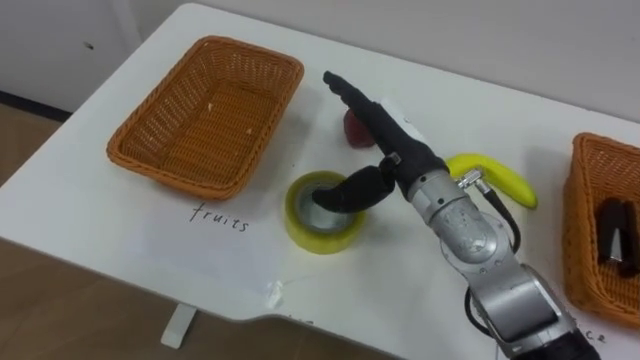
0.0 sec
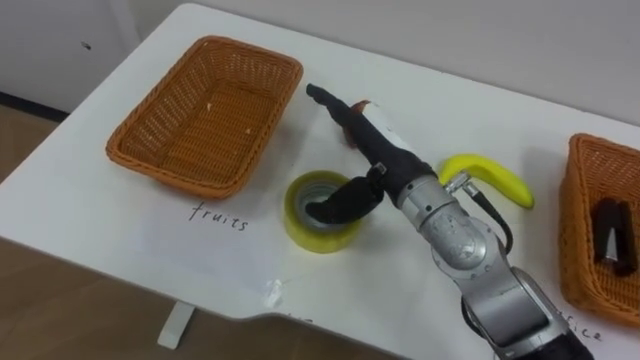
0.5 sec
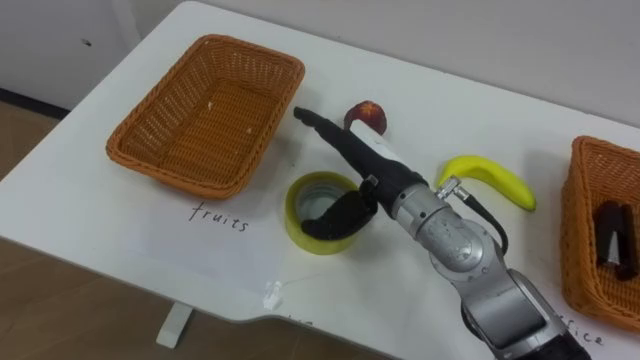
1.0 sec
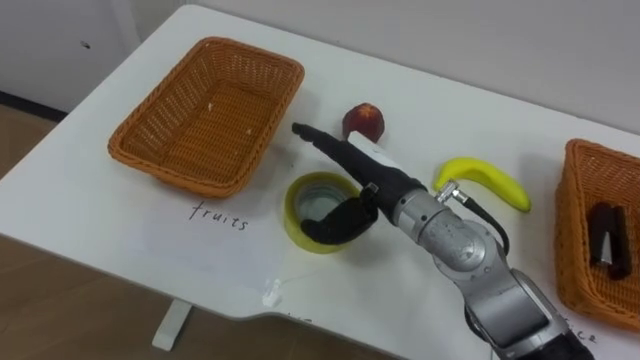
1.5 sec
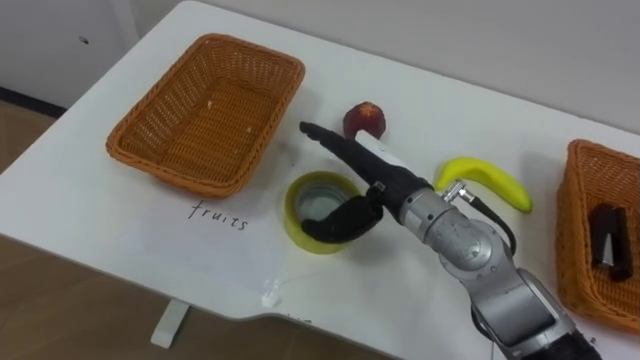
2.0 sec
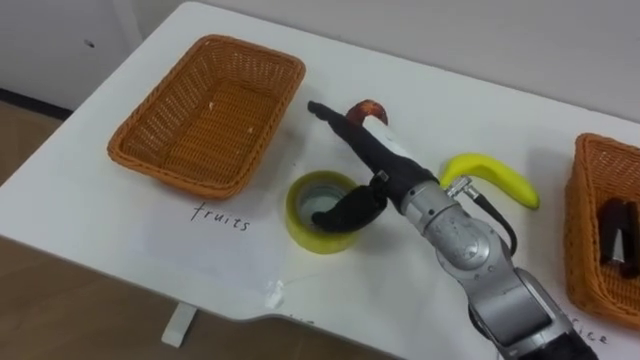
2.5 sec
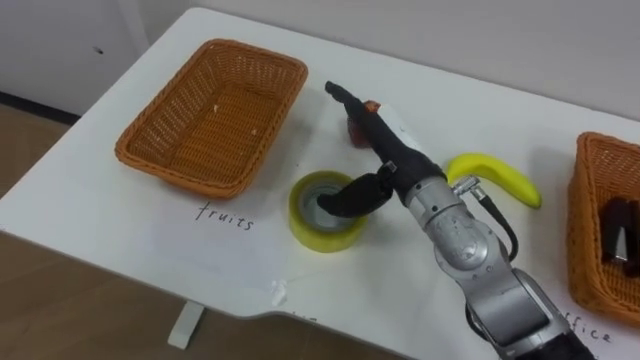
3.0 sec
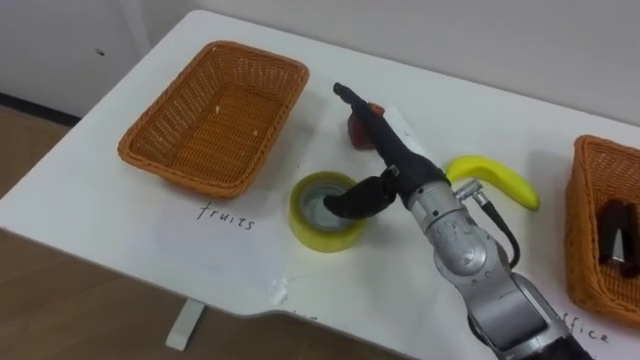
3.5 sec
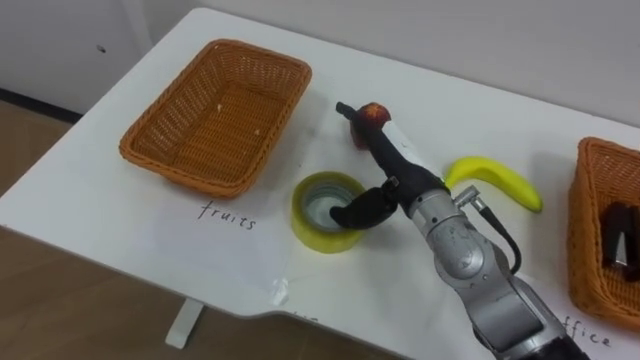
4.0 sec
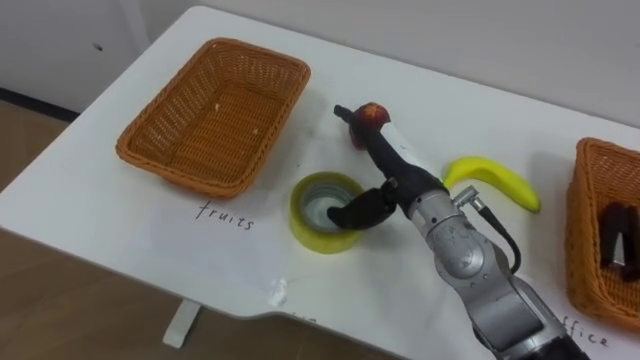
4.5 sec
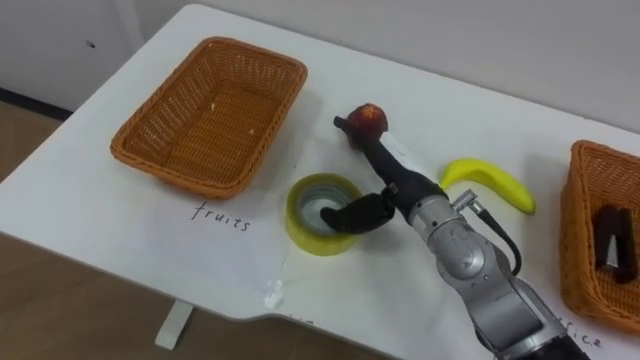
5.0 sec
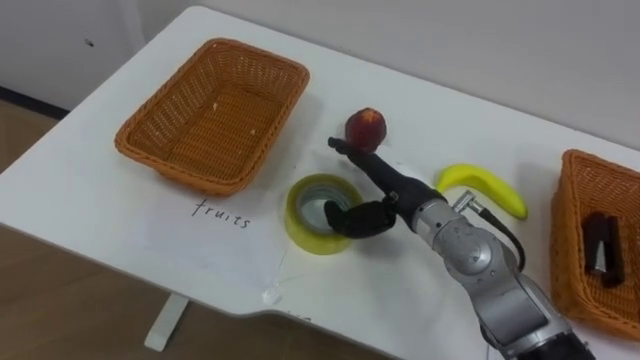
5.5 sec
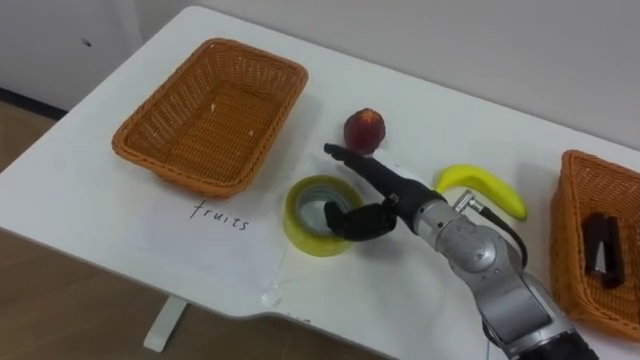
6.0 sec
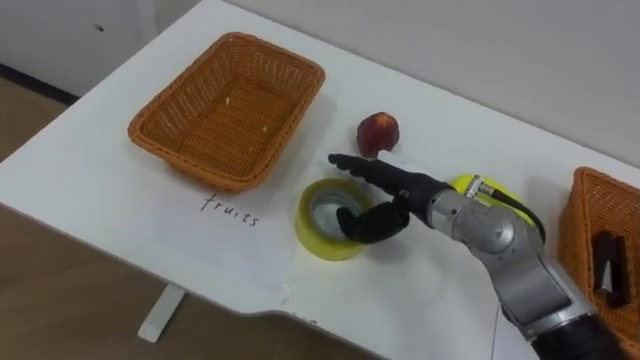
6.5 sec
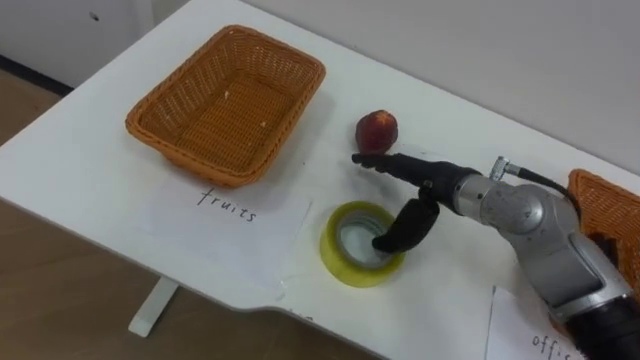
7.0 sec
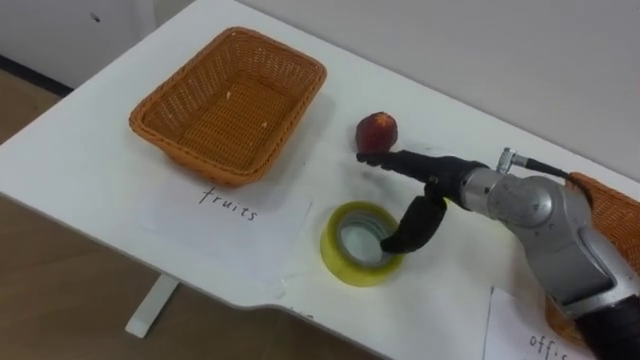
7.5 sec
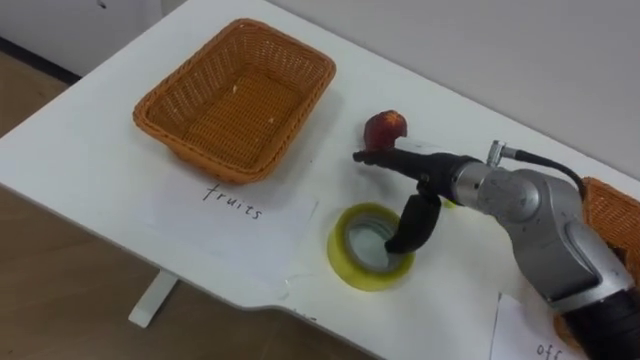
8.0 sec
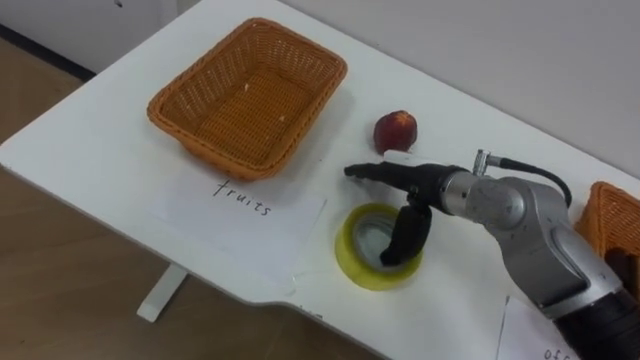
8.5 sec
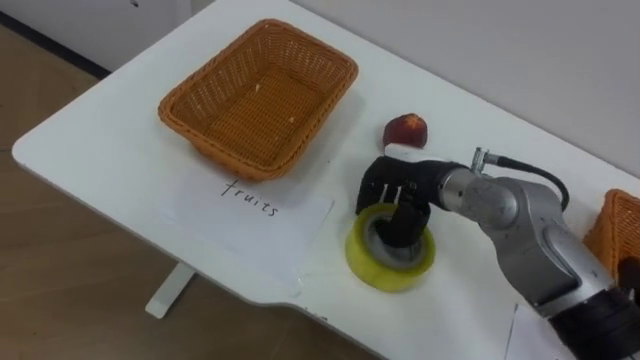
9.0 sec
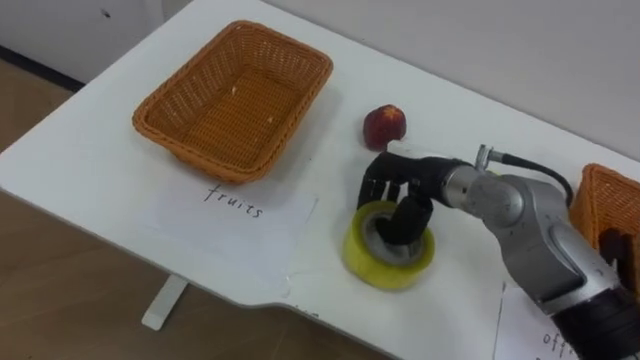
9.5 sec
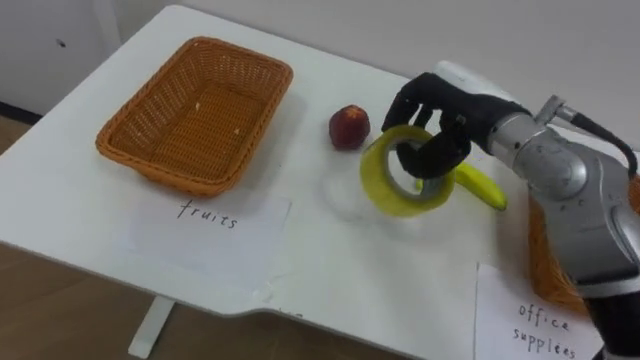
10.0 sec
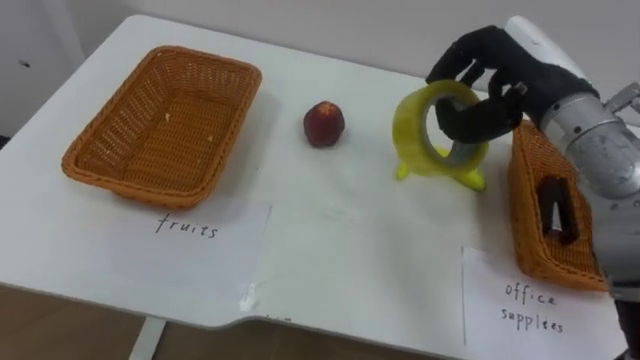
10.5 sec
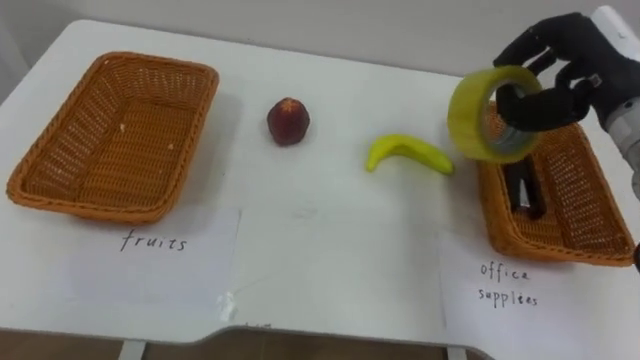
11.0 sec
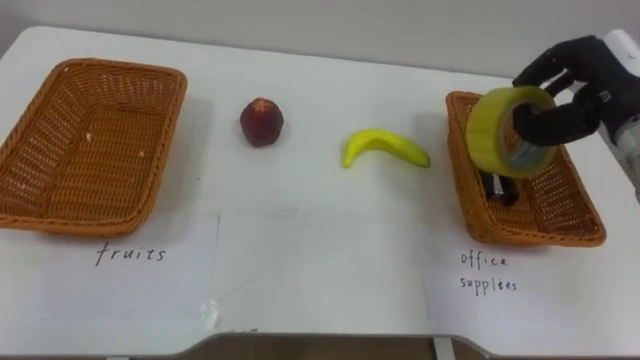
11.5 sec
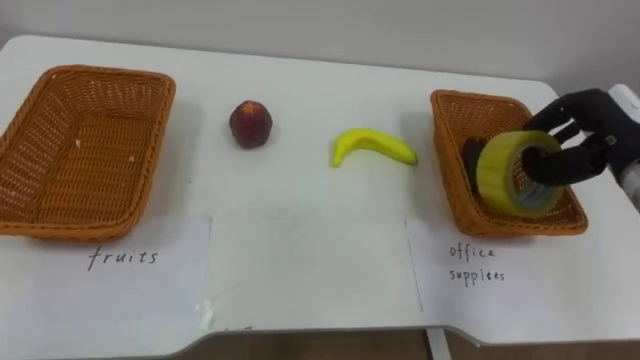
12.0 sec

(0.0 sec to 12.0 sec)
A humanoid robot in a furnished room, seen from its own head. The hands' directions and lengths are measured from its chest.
Task of the whole recording: Separate the items on the table and place them into the two baskets.
6.0 sec - 8.0 sec: The right hand moves some 5 cm.
8.0 sec - 10.0 sec: The right hand is displaced upward by roughly 5 cm, and closes its fingers.
10.0 sec - 12.0 sec: The right hand heads to the right, covering some 15 cm.

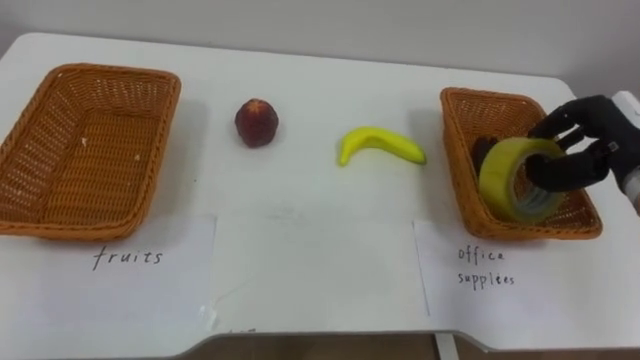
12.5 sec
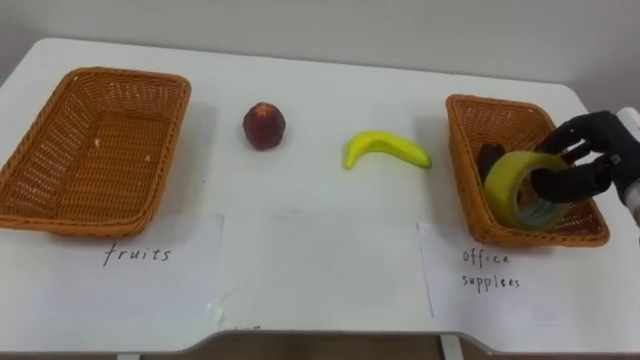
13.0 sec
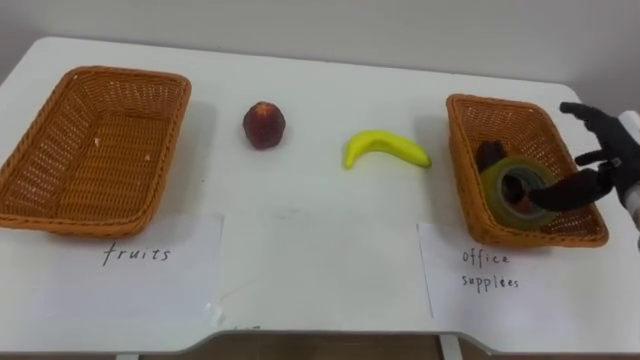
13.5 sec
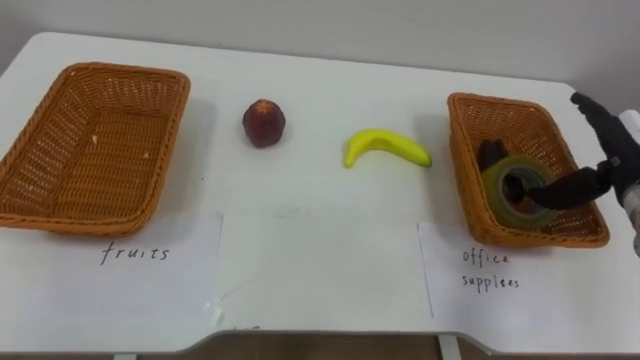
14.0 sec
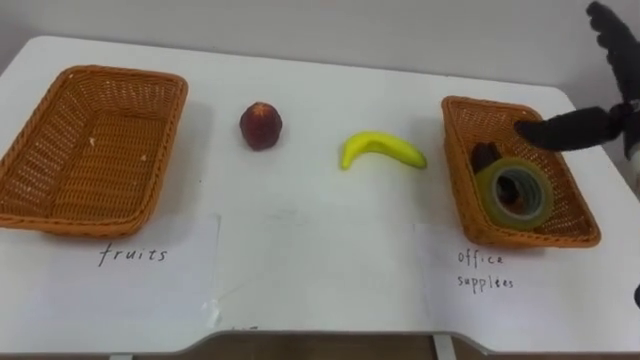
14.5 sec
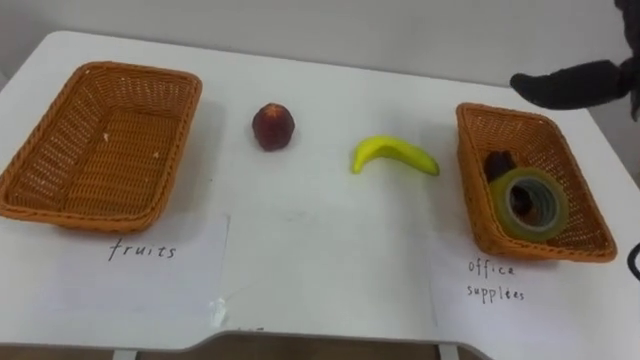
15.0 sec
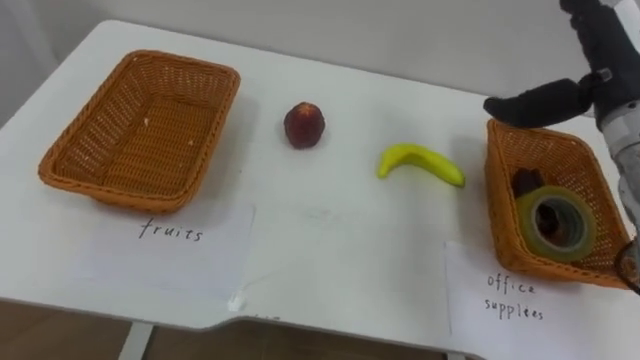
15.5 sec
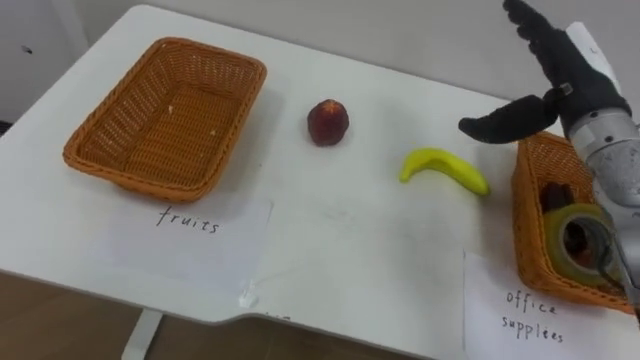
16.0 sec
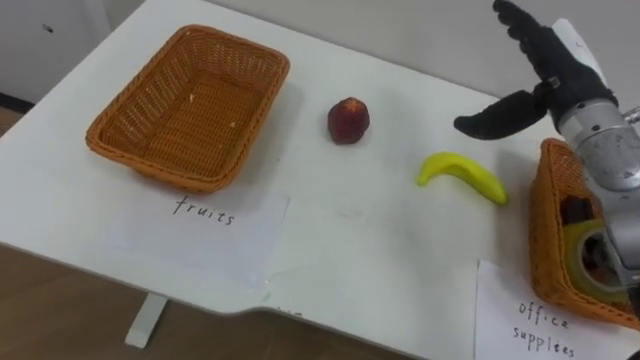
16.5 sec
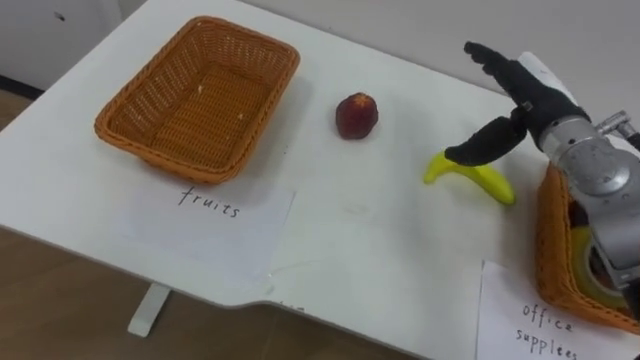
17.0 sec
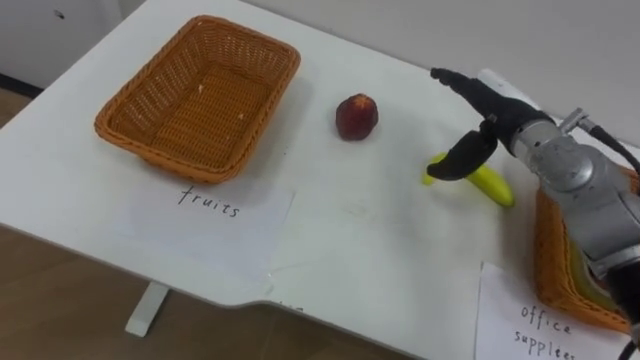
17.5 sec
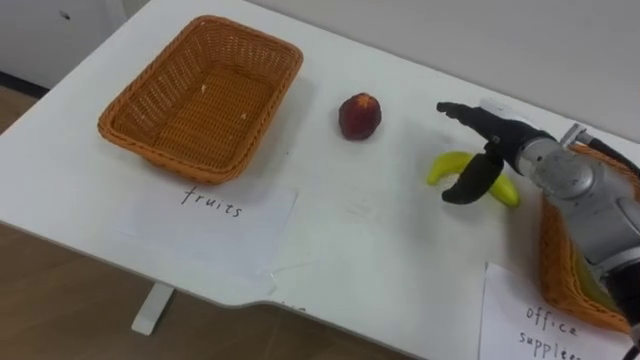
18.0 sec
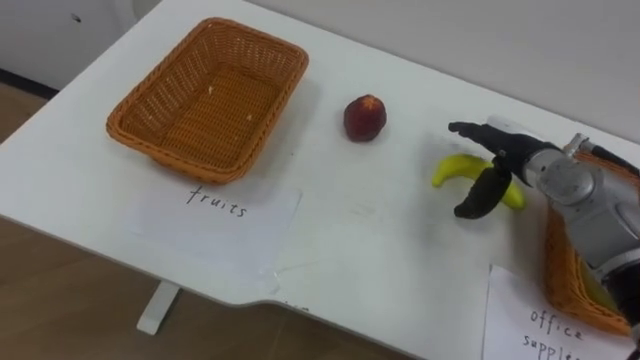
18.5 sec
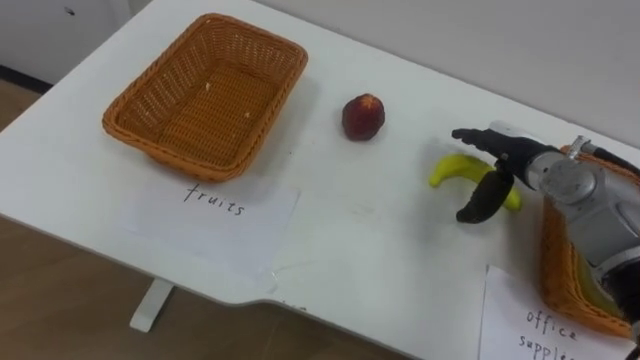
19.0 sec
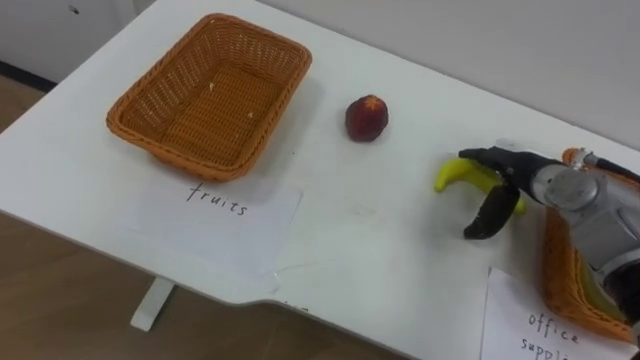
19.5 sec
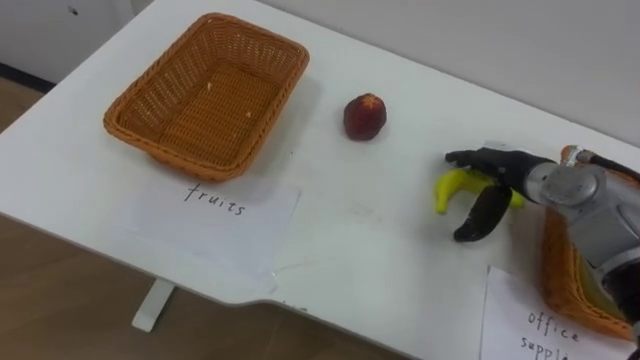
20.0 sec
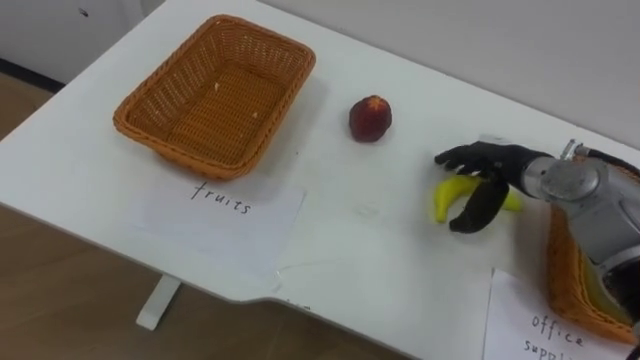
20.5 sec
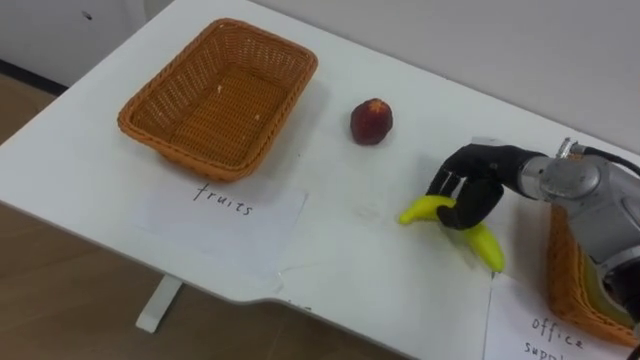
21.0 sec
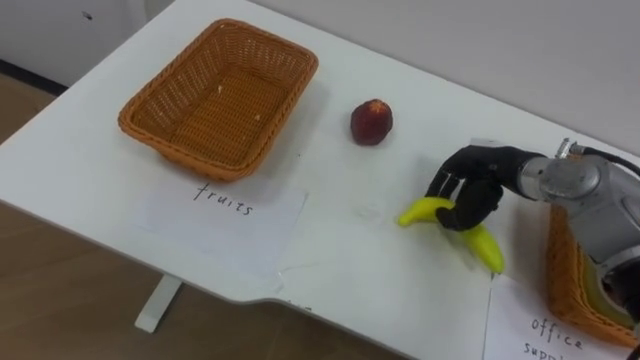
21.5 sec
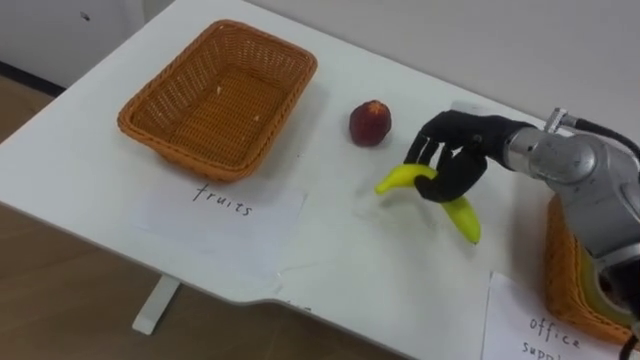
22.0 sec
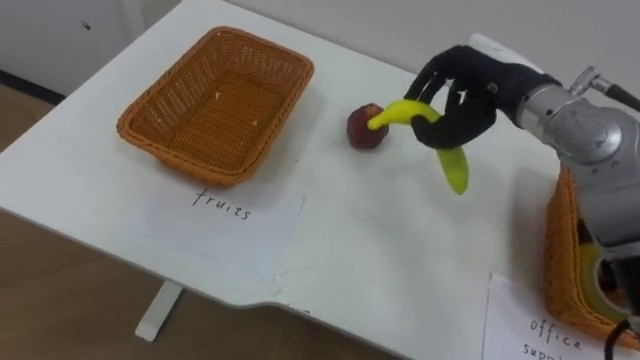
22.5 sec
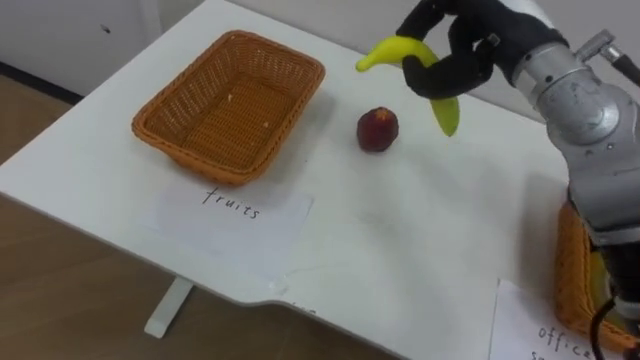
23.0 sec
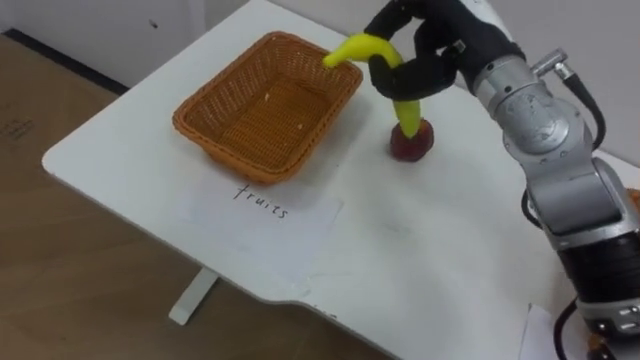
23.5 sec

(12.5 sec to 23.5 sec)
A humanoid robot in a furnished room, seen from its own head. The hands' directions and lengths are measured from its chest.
Task of the whole recording: Separate the items on the table and place them into the two baskets.
12.5 sec - 14.5 sec: The right hand is displaced upward by about 5 cm, and opens up.
16.0 sec - 18.0 sec: The right hand shifts about 10 cm downward.
18.0 sec - 20.0 sec: The right hand shifts by approximately 5 cm.
20.0 sec - 21.5 sec: The right hand closes its fingers.
21.5 sec - 23.5 sec: The right hand is displaced upward and to the left by some 20 cm.
